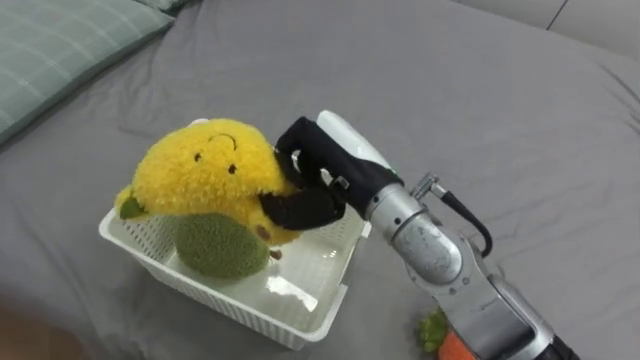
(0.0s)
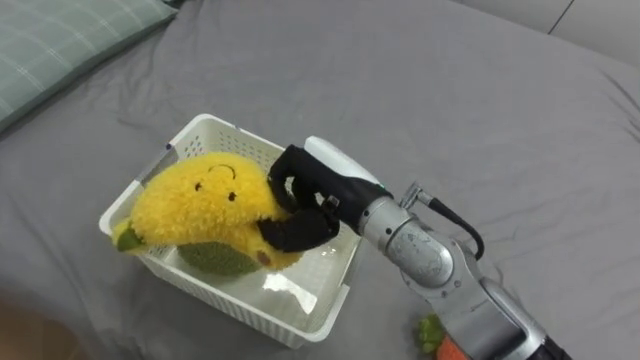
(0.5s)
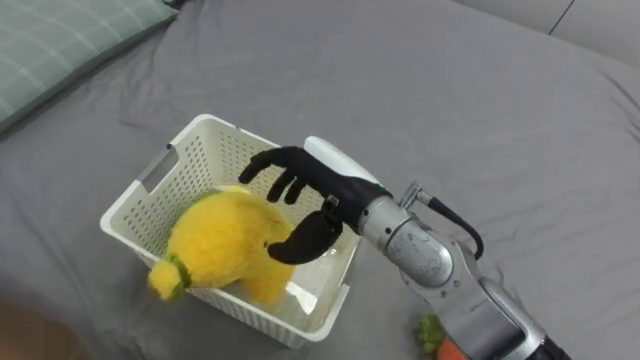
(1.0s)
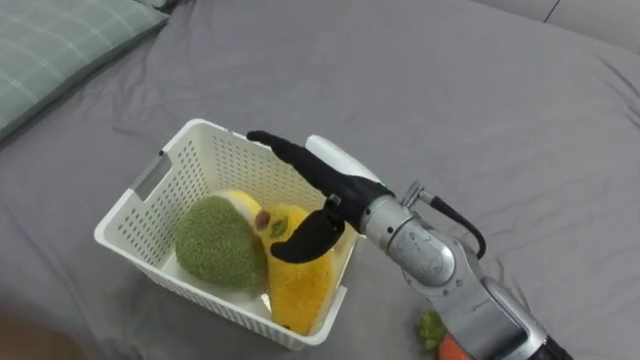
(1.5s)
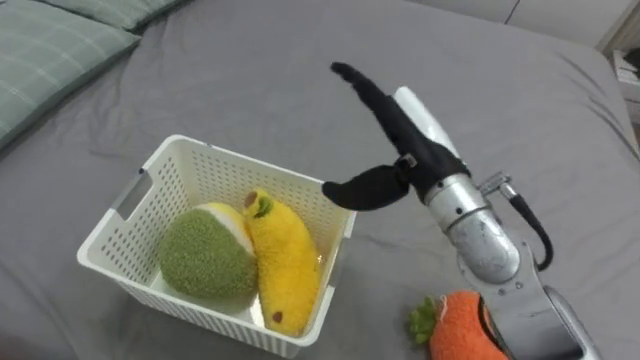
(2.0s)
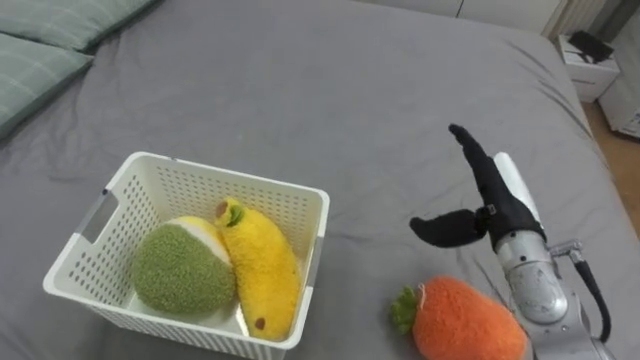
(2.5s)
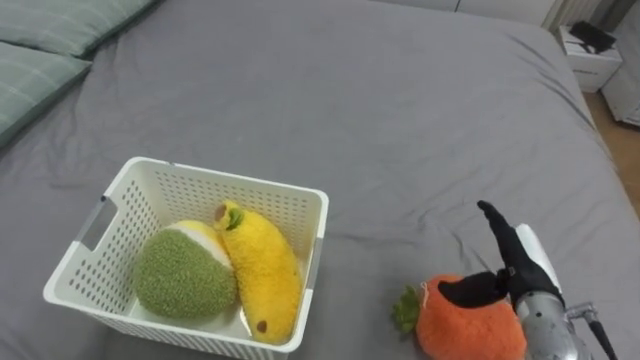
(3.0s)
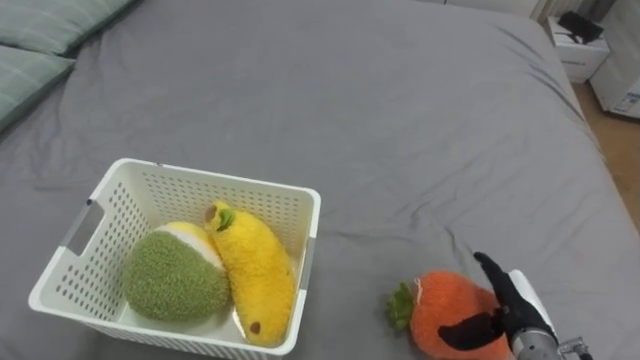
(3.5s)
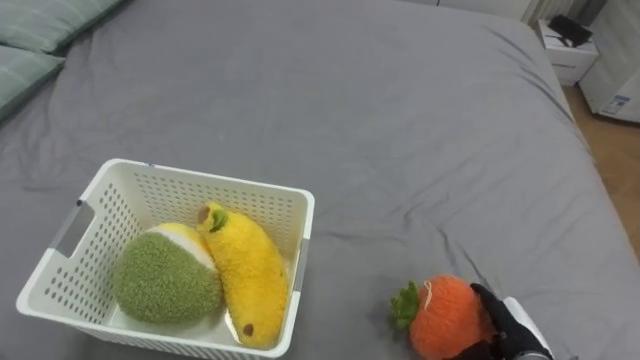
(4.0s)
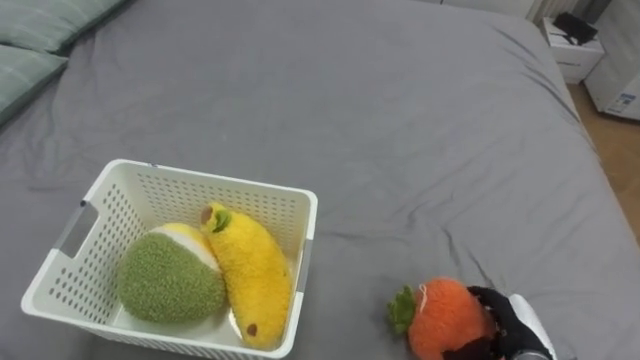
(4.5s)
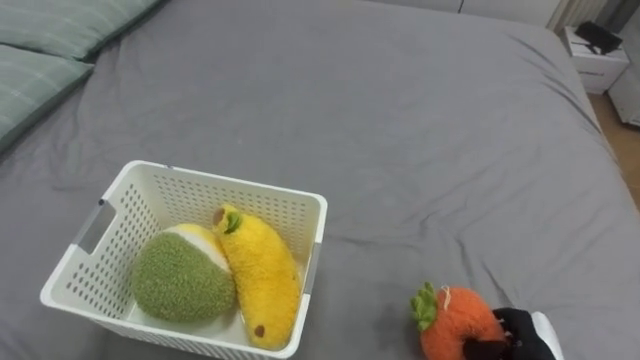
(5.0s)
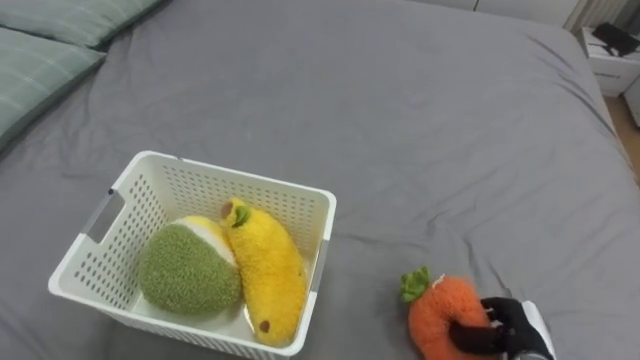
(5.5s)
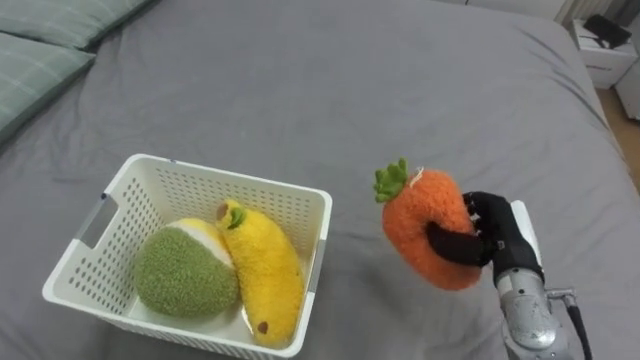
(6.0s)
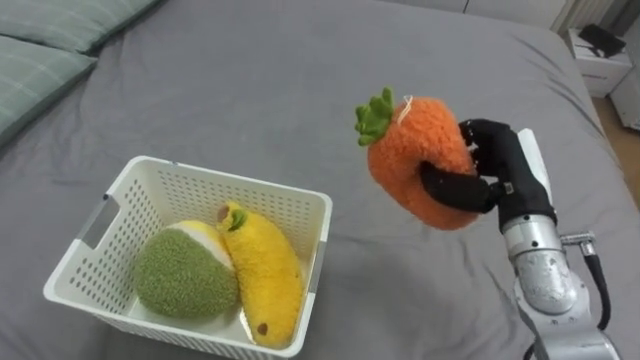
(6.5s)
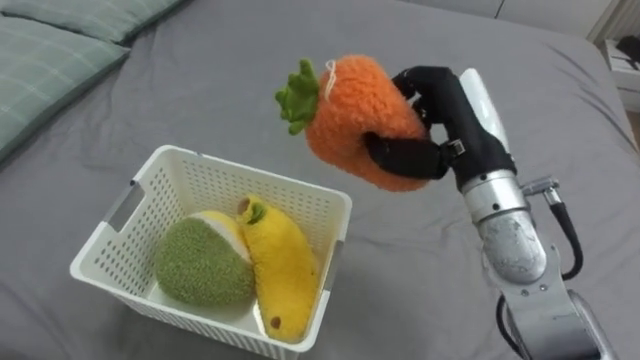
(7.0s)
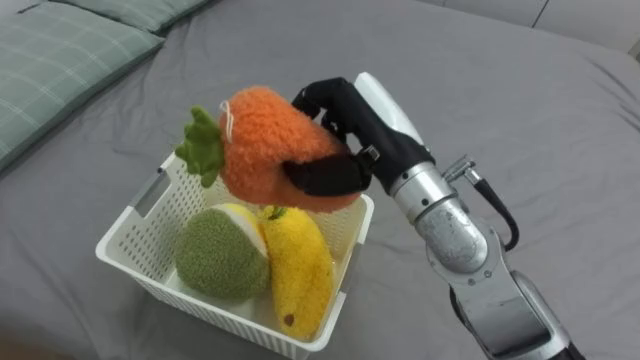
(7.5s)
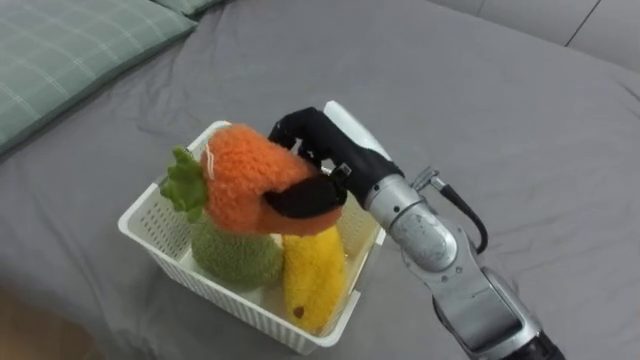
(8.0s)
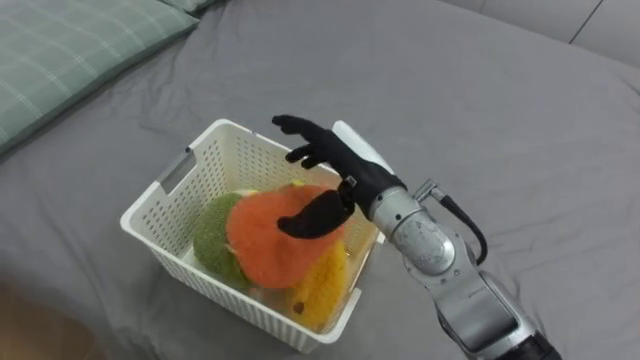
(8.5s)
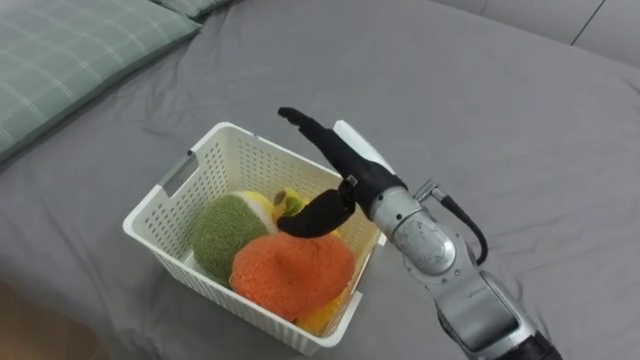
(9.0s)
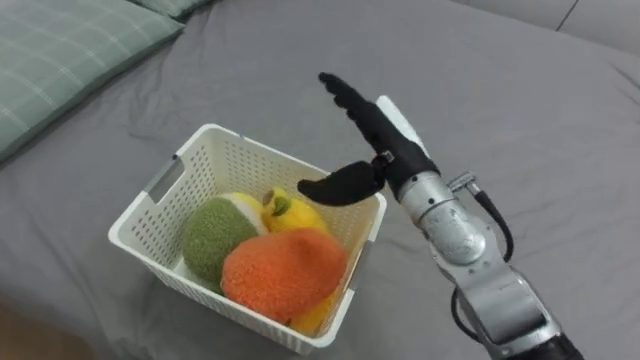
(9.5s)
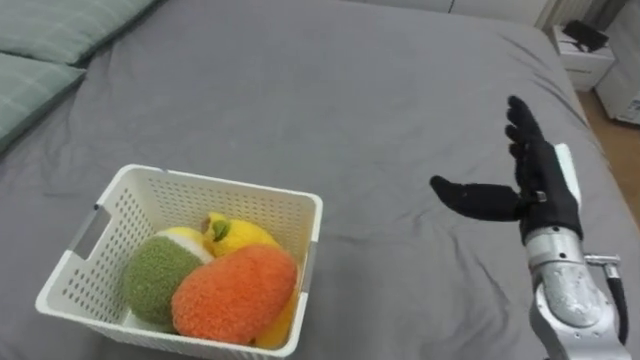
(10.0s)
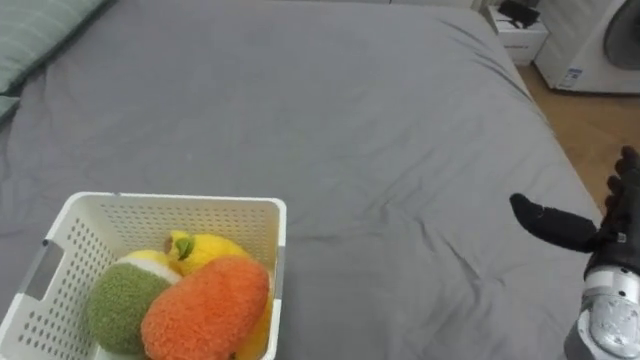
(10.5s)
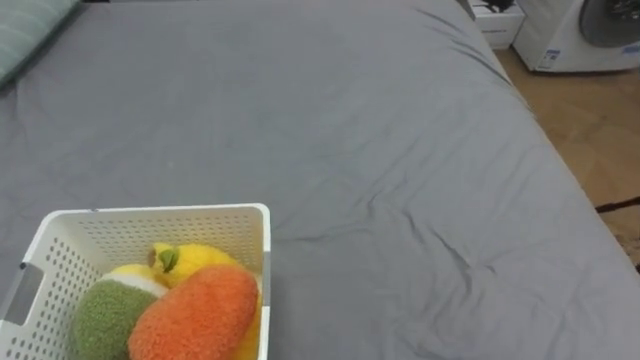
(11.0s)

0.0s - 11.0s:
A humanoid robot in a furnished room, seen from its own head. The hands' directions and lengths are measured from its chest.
Task of the whole recording: Put the toys on the bed into the basket on the left.
0.0s - 2.0s: The right hand moves to the right, roughly 5 cm, and opens up.
2.0s - 3.5s: The right hand shifts approximately 30 cm downward, to the right and backward.
3.5s - 5.5s: The right hand shifts by approximately 5 cm, and closes up.
5.5s - 7.5s: The right hand heads upward, to the left and forward, covering approximately 40 cm.
7.5s - 9.0s: The right hand moves downward, some 5 cm, and opens.

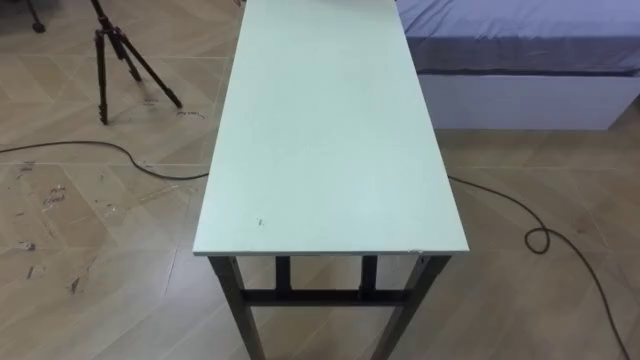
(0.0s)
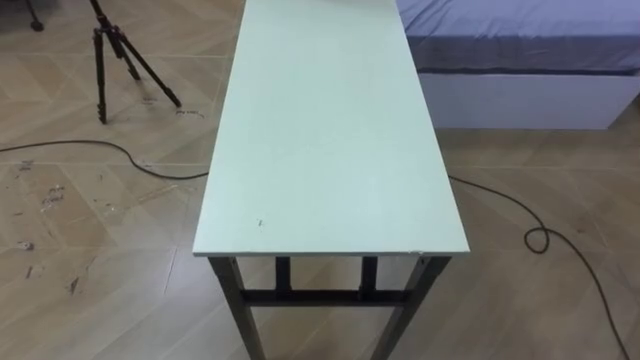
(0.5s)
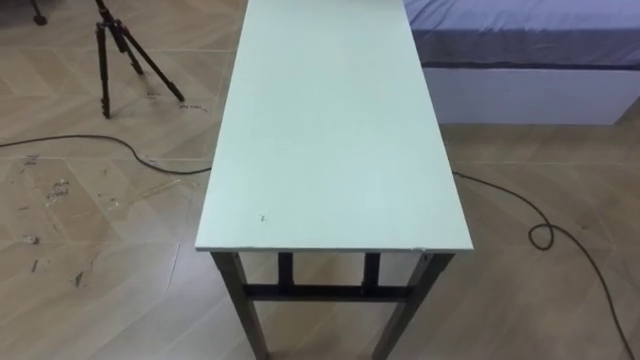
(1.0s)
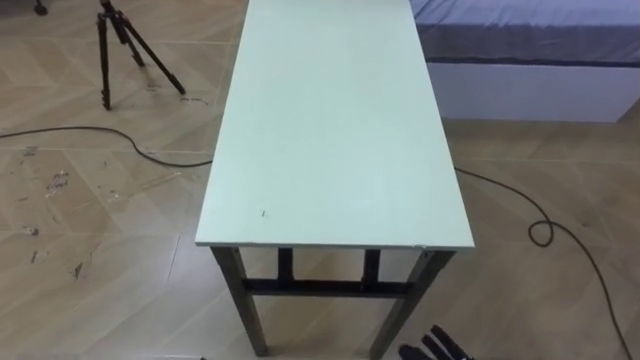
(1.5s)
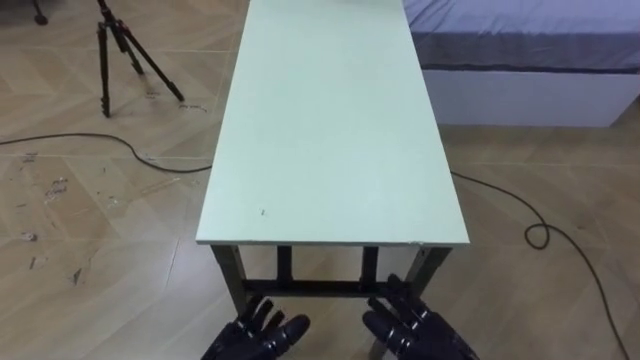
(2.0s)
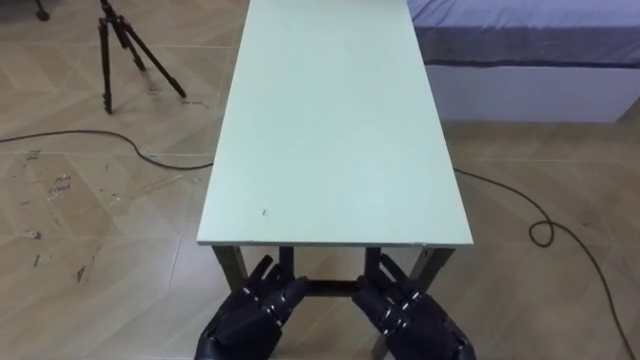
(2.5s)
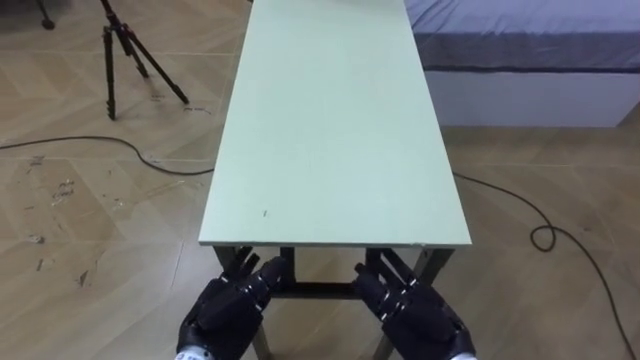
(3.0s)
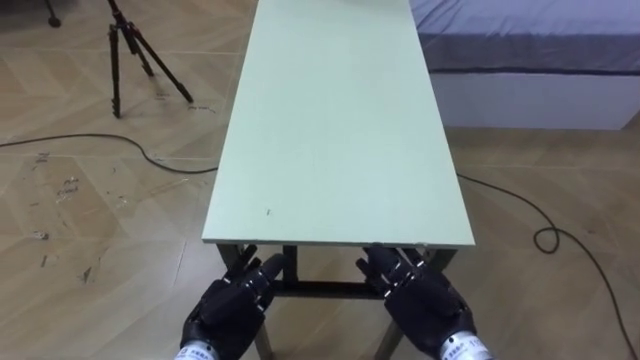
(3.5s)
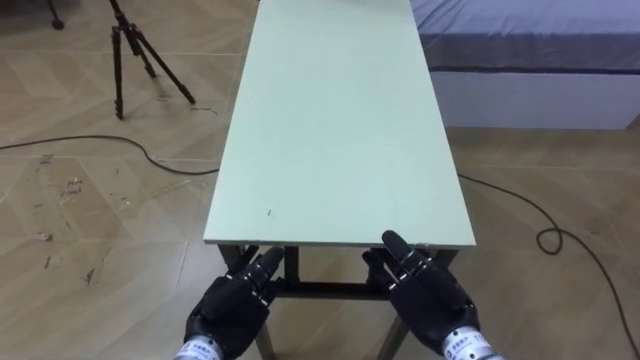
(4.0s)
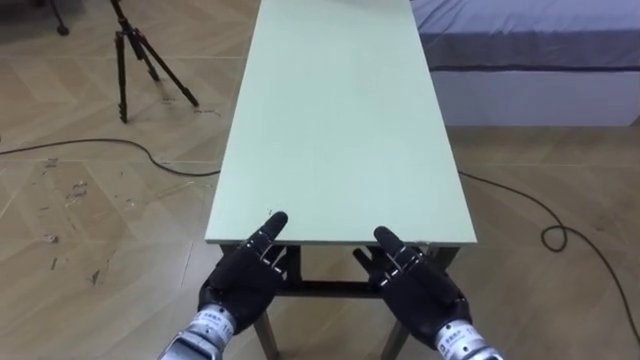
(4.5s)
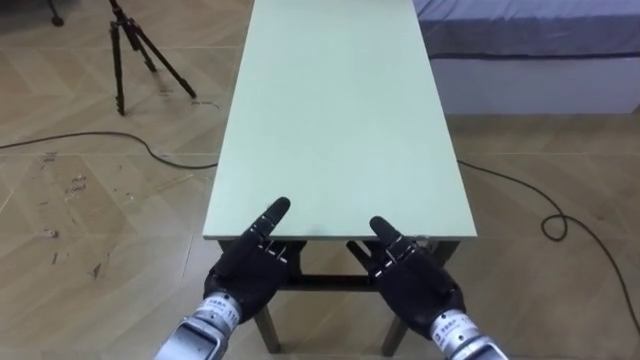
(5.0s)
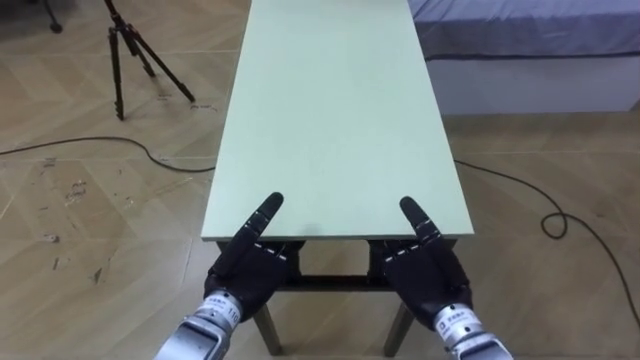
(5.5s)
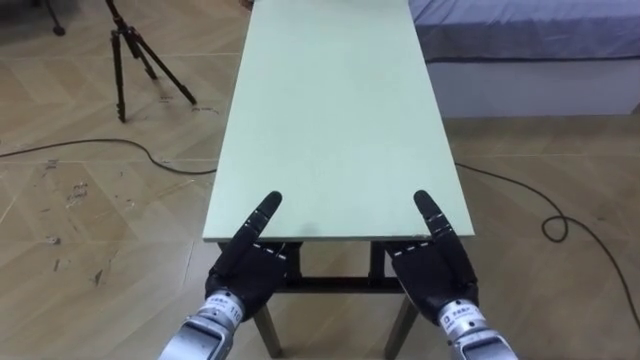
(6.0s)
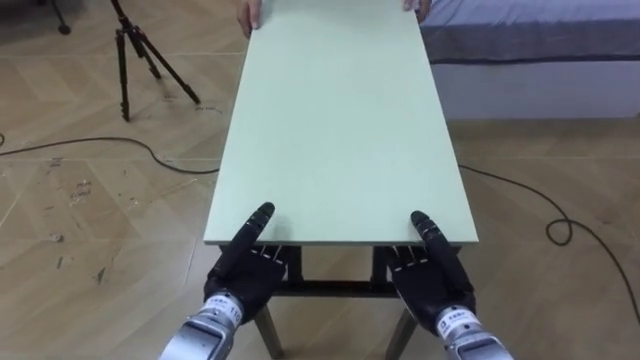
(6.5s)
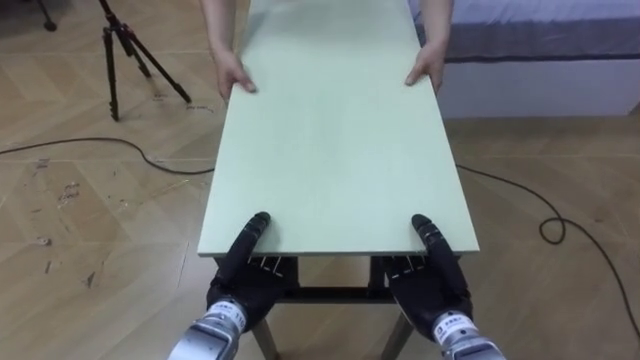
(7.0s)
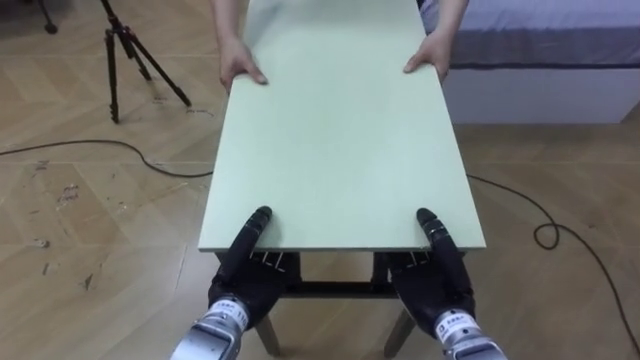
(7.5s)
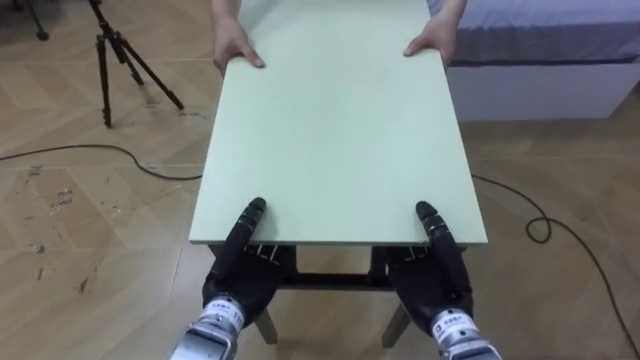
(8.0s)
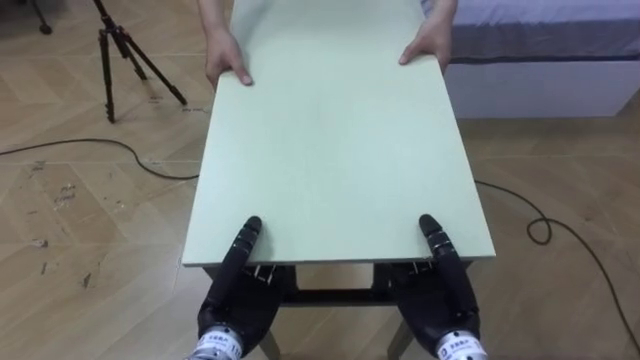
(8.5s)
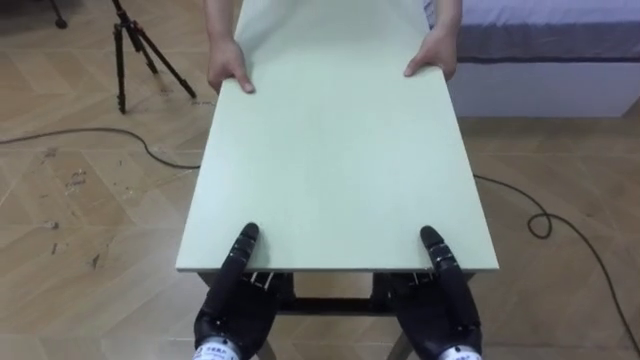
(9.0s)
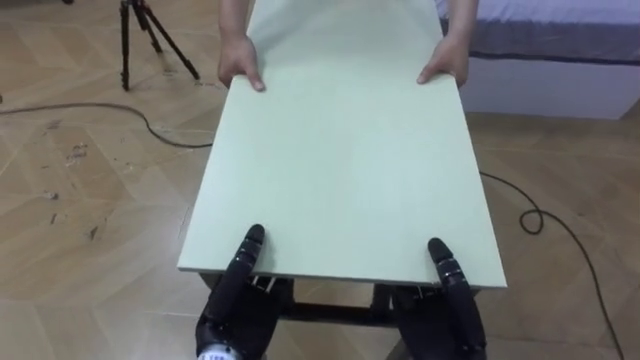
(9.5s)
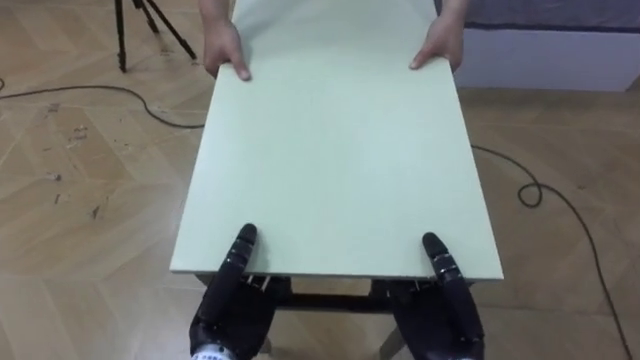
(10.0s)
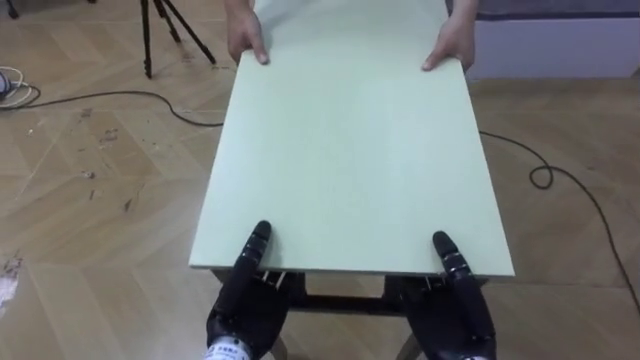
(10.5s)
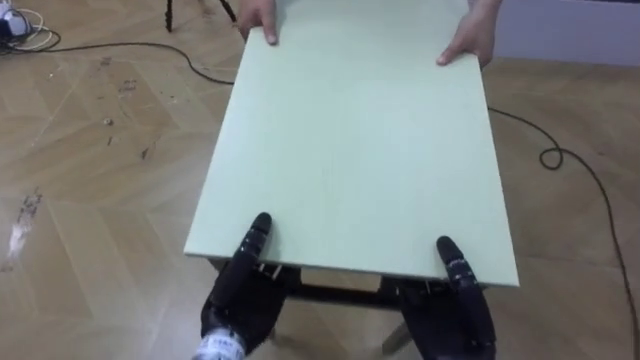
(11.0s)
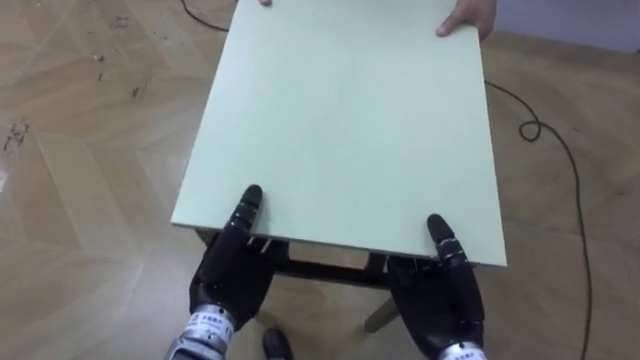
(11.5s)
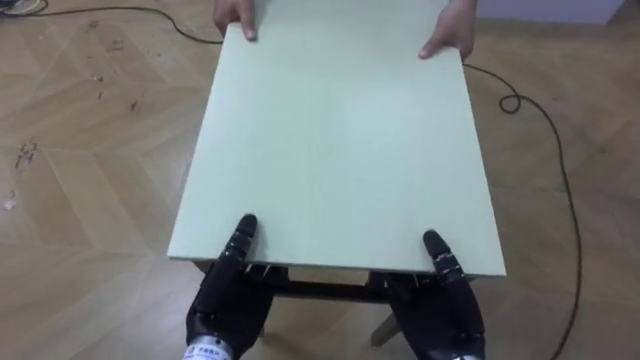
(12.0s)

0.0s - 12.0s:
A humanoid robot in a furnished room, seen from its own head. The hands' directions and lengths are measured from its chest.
Task of the whole recording: Move the table to the back left with someone.
2.0s - 4.0s: The hands both shift forward by about 5 cm.
4.0s - 6.0s: The left hand shifts by approximately 5 cm.
6.0s - 8.0s: The right hand closes up; the left hand closes its fingers.
8.0s - 10.0s: The hands both shift backward by approximately 5 cm.
